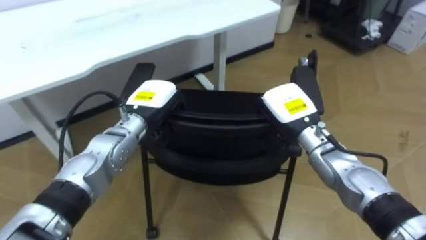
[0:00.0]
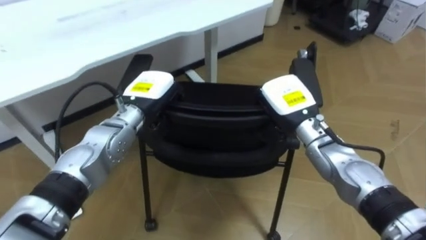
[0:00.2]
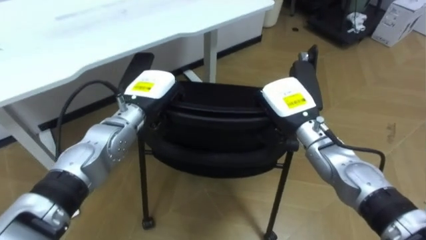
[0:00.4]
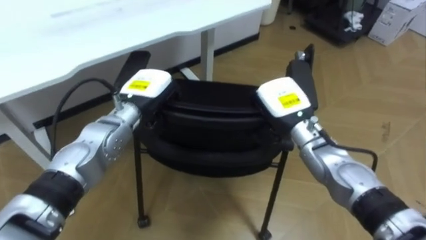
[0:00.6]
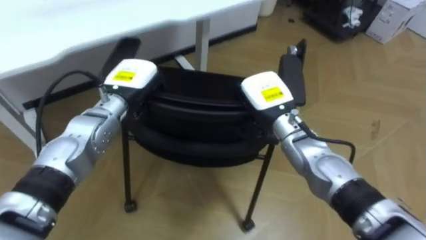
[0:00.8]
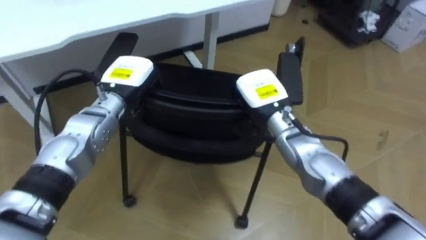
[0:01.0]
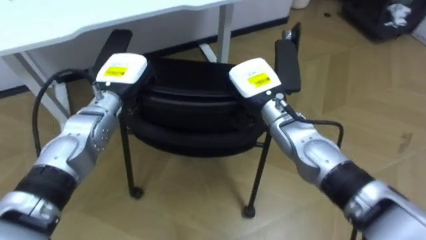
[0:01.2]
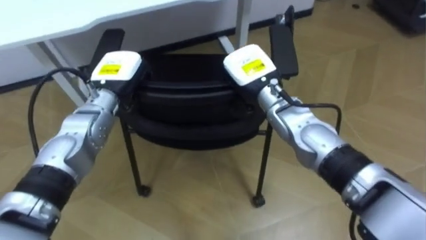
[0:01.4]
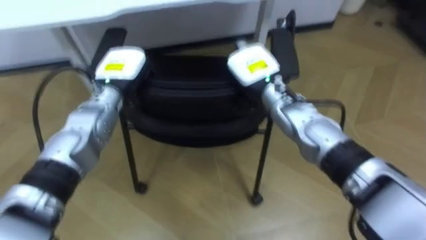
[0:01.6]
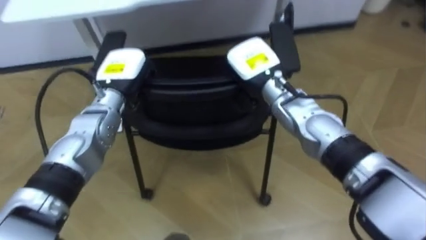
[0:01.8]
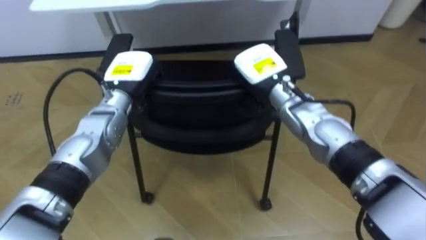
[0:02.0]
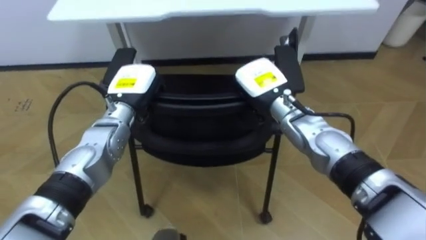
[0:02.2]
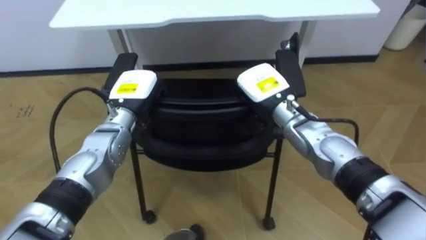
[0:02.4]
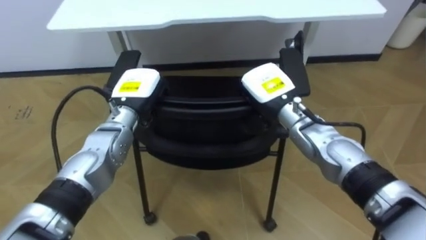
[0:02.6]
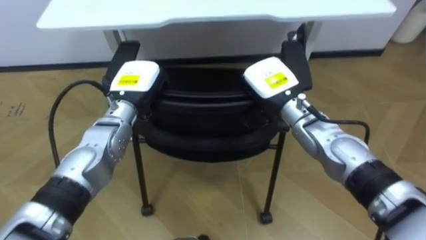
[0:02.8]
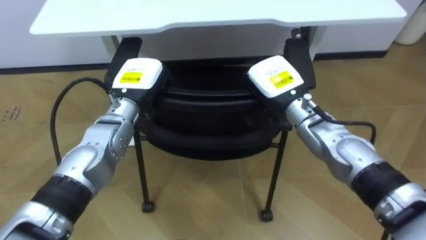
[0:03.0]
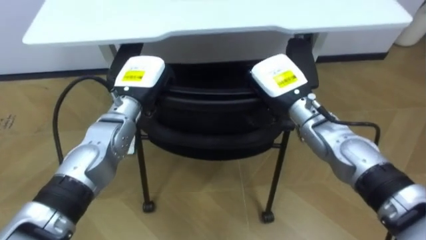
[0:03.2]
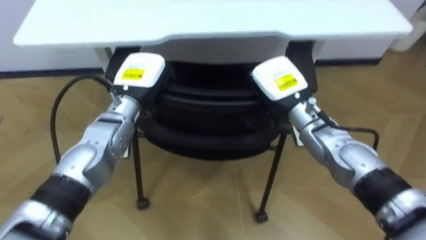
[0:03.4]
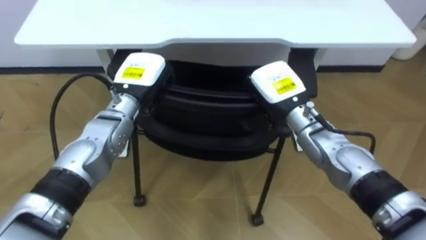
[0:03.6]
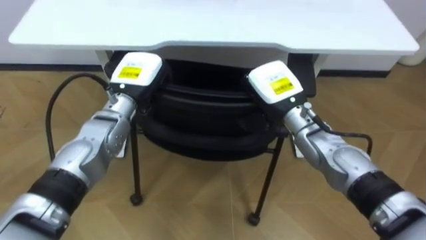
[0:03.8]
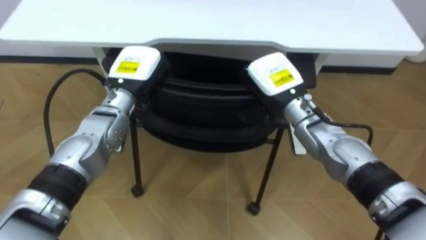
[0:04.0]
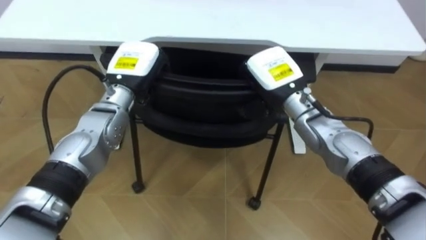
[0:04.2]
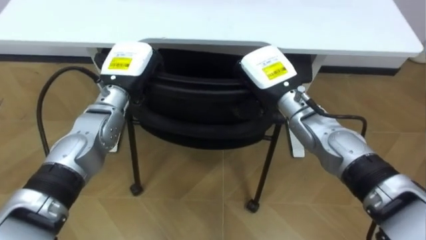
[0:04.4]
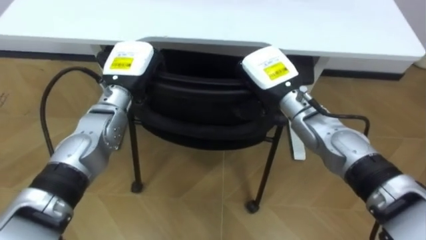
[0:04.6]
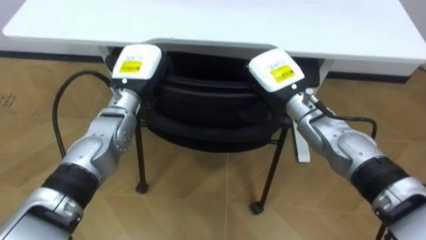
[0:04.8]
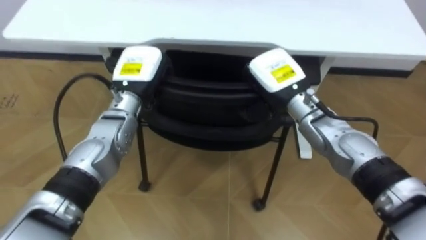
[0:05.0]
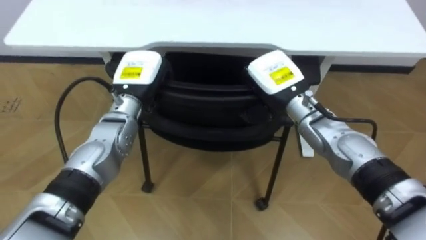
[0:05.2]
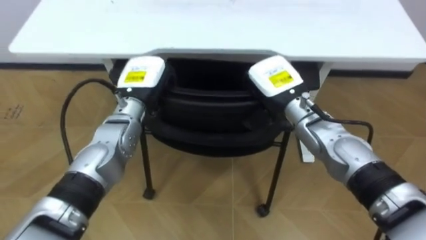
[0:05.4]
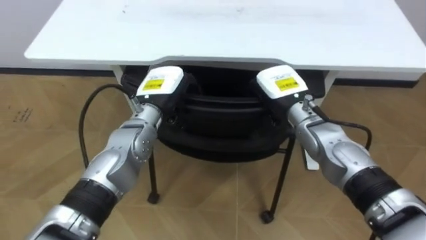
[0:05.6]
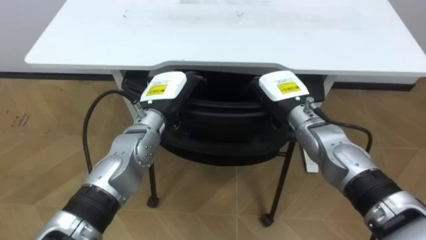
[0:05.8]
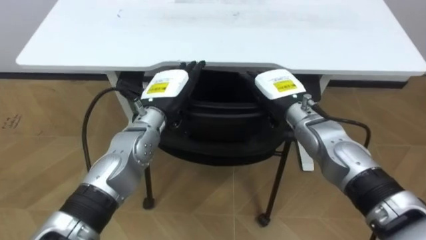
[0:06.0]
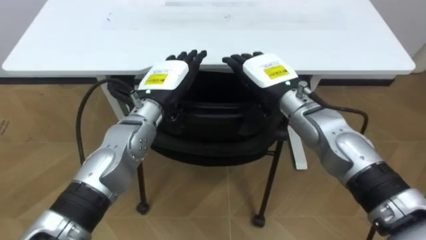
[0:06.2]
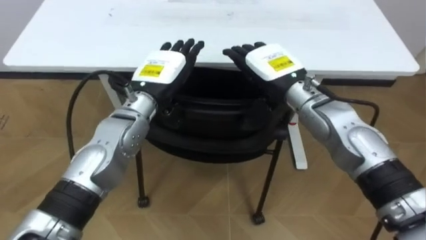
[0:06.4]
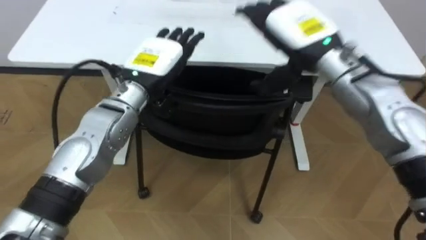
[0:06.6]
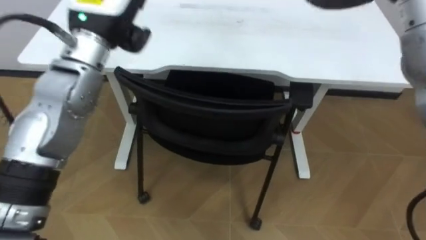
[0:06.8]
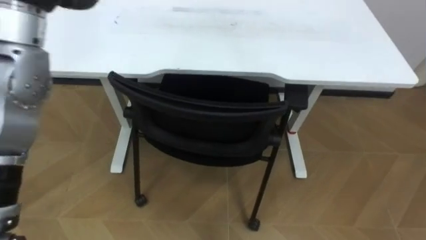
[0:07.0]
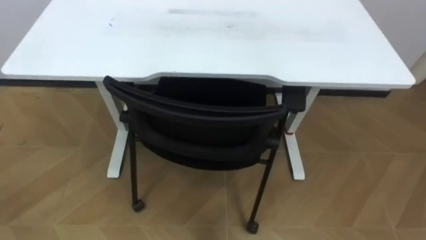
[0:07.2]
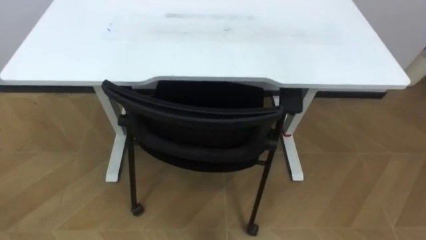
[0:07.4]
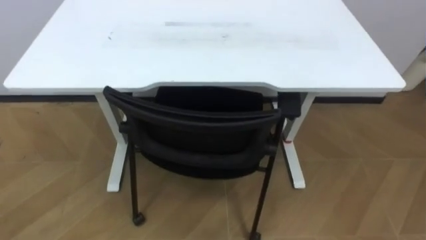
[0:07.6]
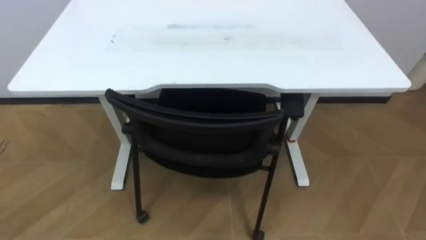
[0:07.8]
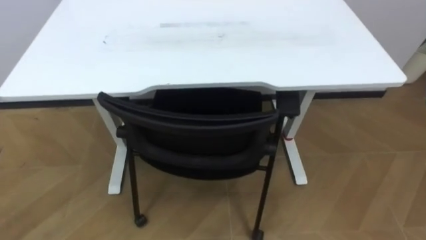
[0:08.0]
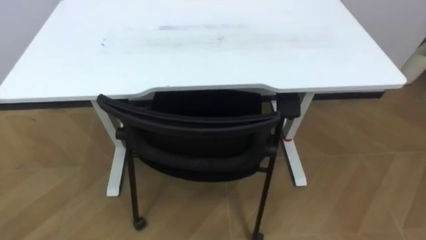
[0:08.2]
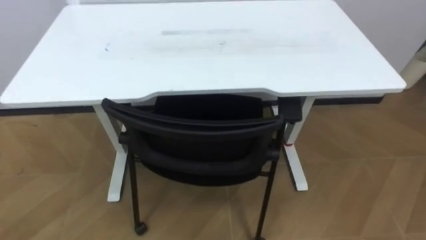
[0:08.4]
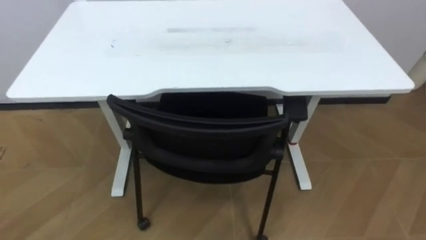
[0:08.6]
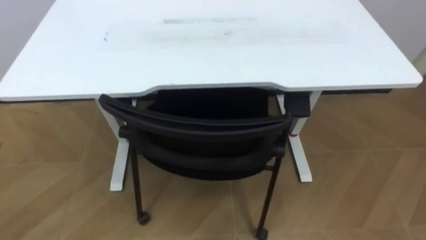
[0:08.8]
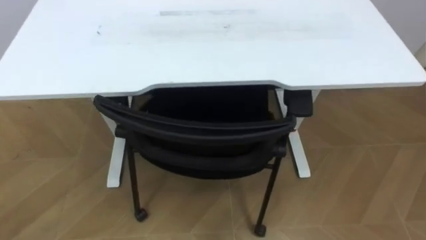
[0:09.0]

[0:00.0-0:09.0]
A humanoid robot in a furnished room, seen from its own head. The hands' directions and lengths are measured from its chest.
Task of the whole recording: Push the chair under the table.
0:00.0 to 0:01.6: The right hand moves to the left and upward, about 10 cm, while the left hand shifts by roughly 5 cm.
0:01.6 to 0:03.0: The right hand shifts by roughly 5 cm.
0:04.4 to 0:06.0: The right hand opens its fingers; the left hand heads to the right, covering roughly 5 cm, and opens up.

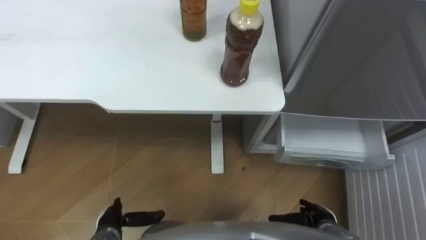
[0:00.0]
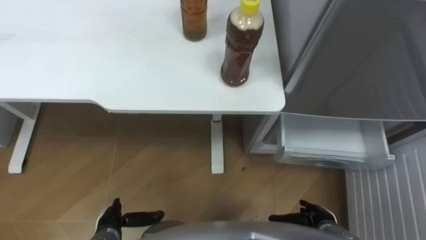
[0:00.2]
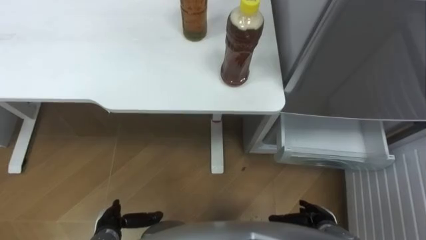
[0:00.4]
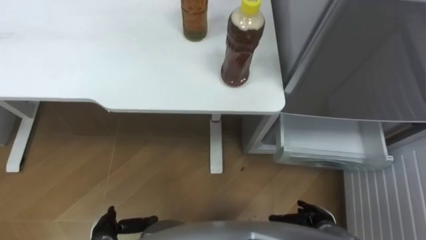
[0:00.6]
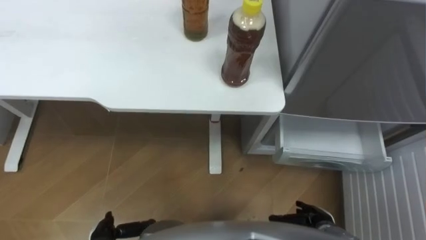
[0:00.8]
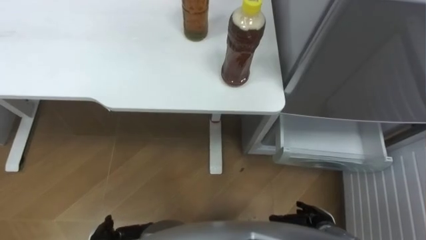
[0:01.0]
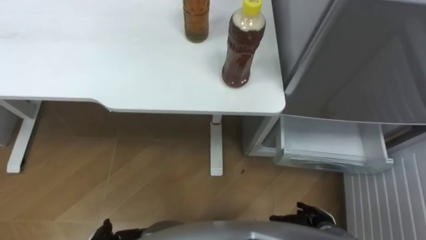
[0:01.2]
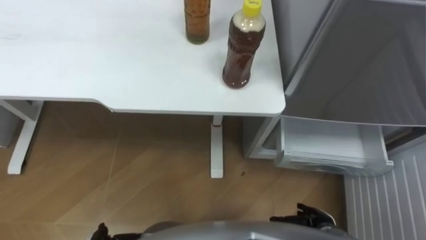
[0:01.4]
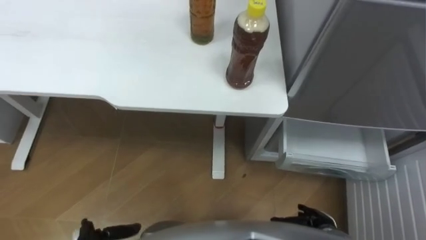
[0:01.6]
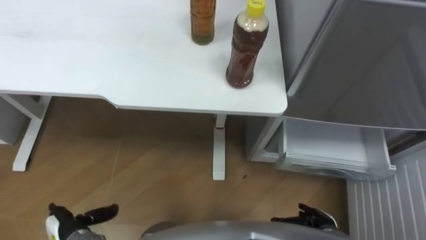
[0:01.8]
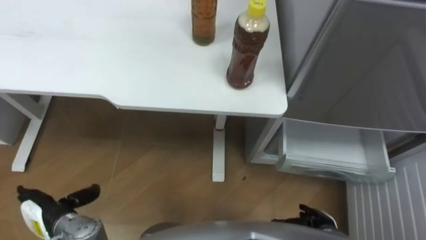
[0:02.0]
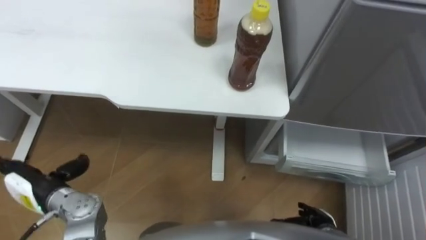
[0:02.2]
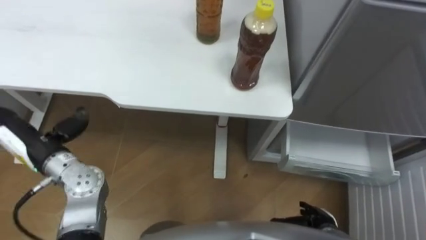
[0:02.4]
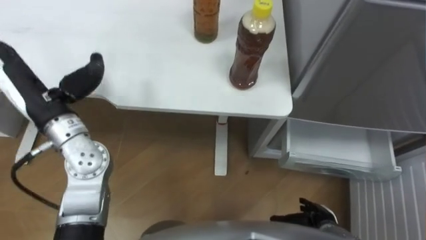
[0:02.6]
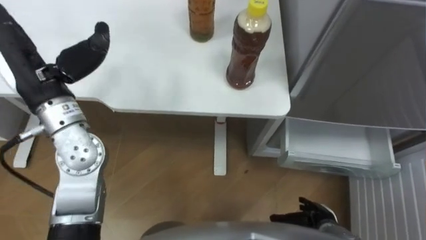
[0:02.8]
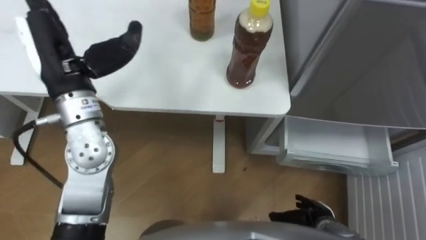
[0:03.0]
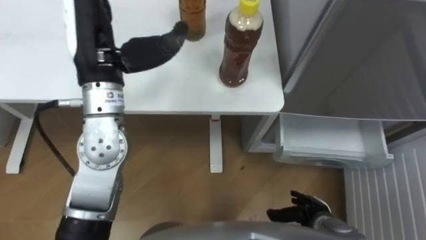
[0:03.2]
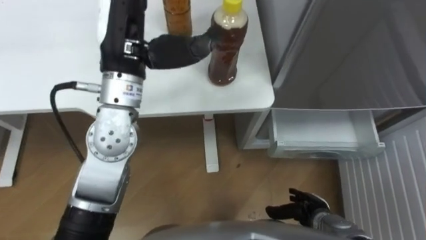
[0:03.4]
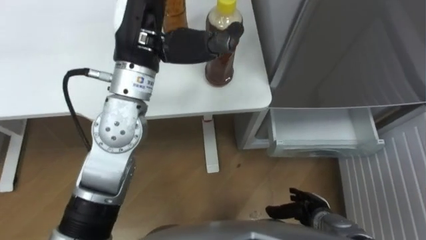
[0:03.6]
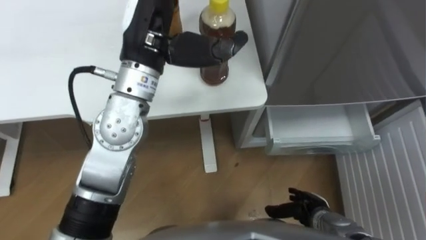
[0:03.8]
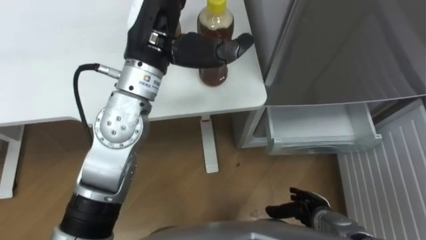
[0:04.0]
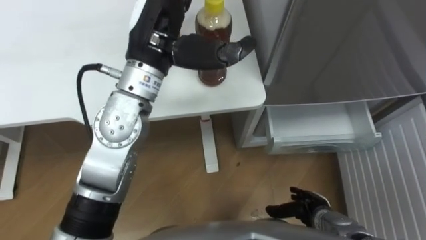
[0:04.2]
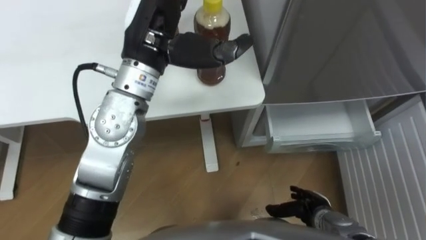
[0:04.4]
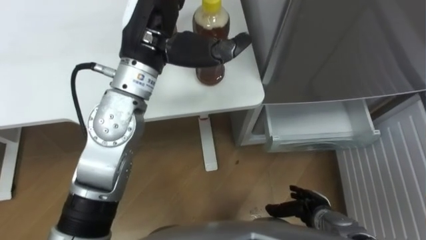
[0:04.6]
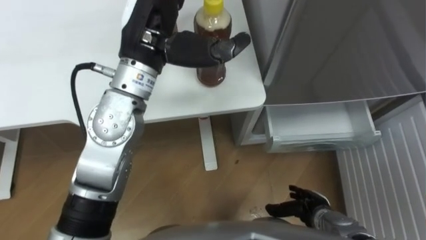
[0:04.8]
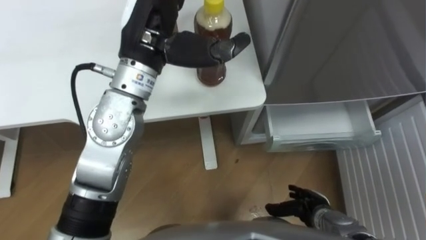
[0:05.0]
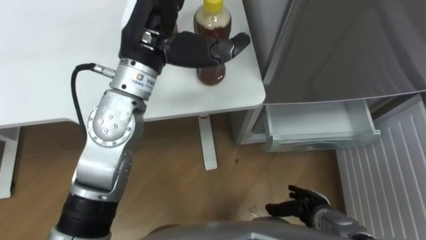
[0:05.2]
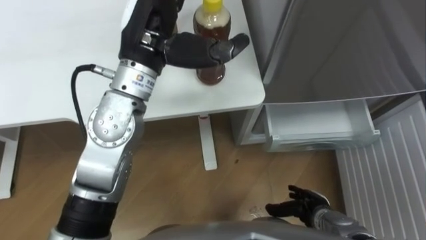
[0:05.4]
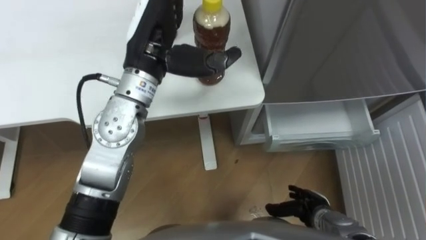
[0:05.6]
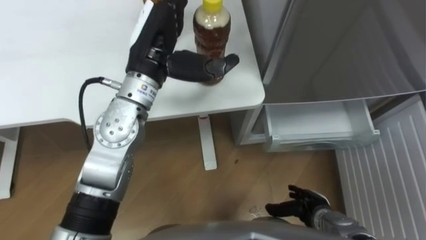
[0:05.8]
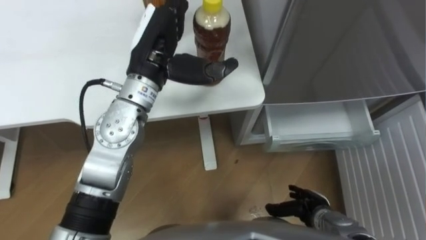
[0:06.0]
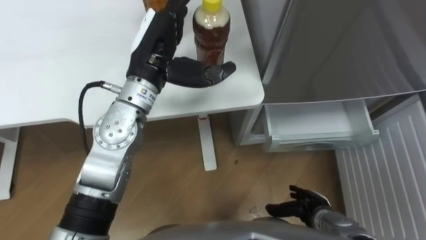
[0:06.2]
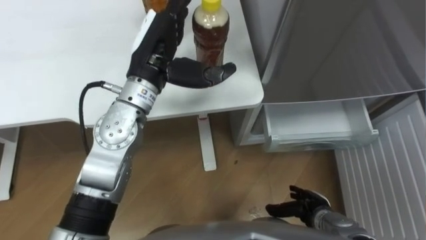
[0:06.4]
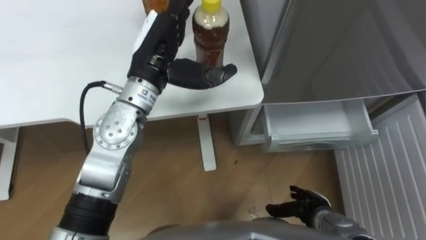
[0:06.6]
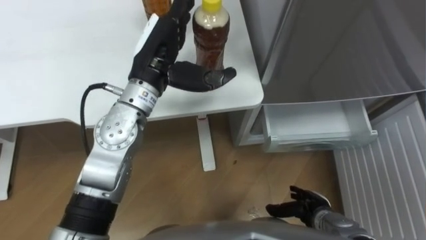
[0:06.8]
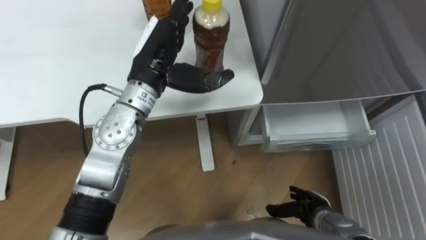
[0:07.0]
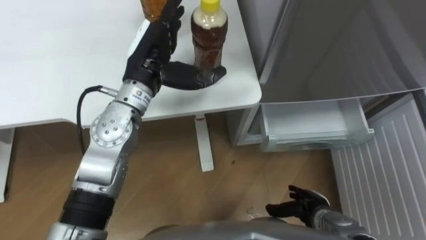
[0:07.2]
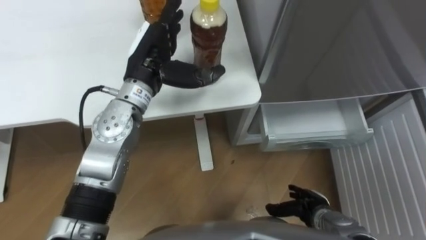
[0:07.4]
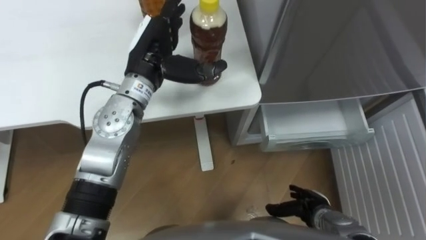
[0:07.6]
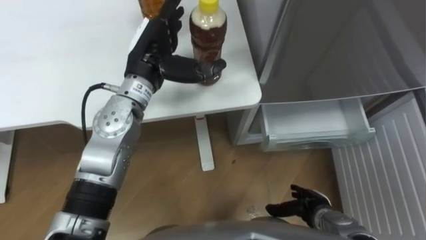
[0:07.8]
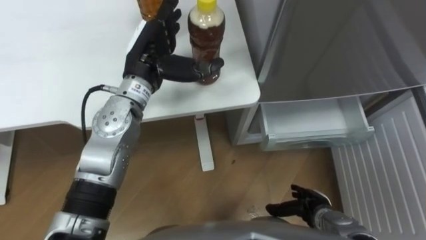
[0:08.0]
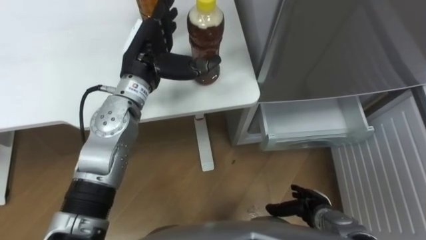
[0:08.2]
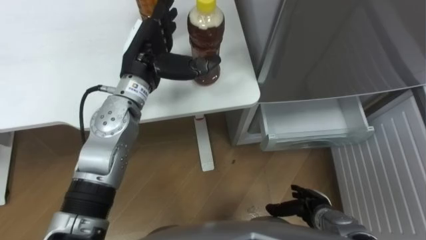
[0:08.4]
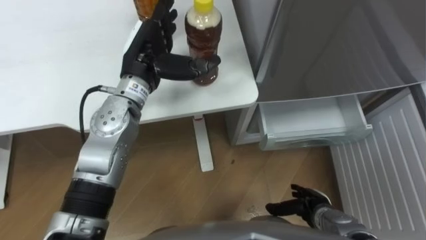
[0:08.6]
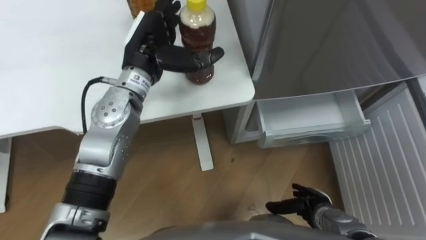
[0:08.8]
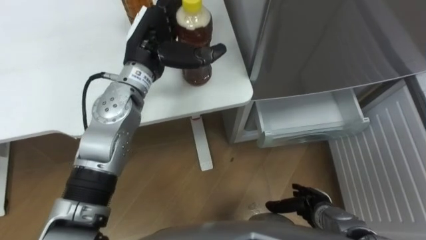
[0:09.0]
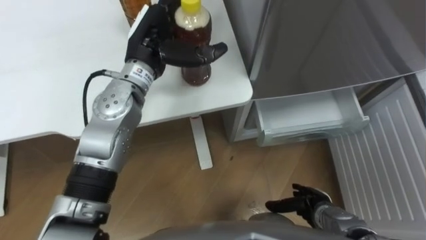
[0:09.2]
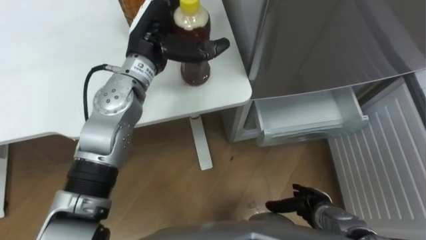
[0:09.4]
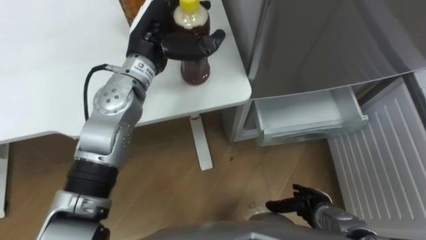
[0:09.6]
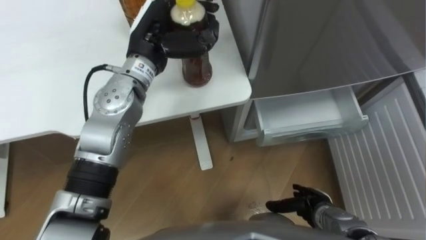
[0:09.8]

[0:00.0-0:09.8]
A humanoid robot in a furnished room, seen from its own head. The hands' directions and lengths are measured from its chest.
Task of the whole recording: Place the drink on the table on the bottom shelf of the refrigerator, then close the drawer and the refrigerator door.
0:02.8 to 0:04.2: The left hand is displaced to the right by approximately 20 cm.
0:04.2 to 0:05.6: The hands move only a little.
0:05.6 to 0:07.0: There are only small adjustments of the hands.
0:07.0 to 0:08.4: There are only small adjustments of the hands.
0:08.4 to 0:09.8: The left hand closes.
